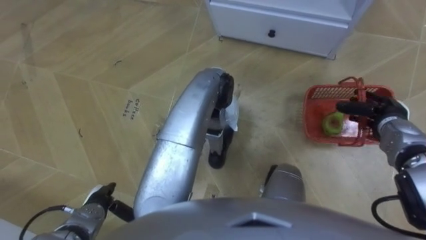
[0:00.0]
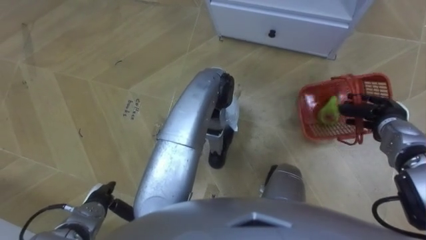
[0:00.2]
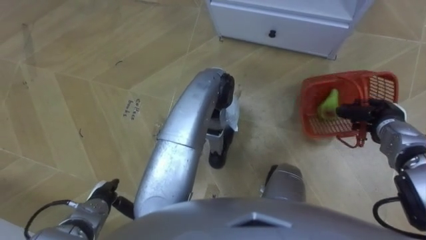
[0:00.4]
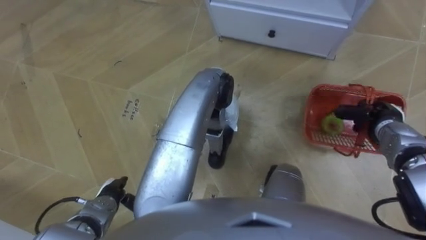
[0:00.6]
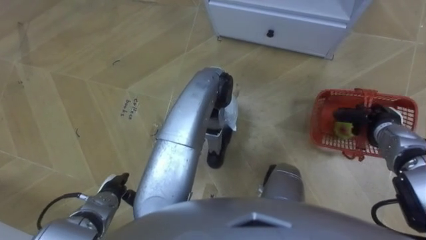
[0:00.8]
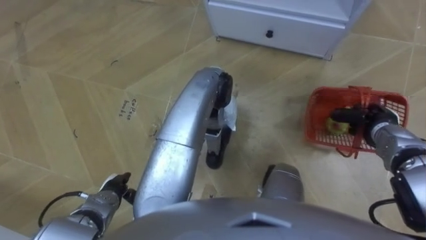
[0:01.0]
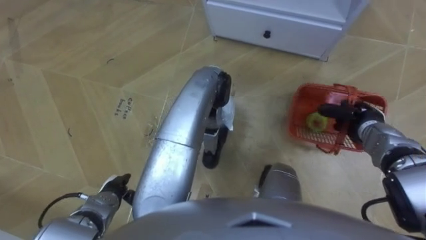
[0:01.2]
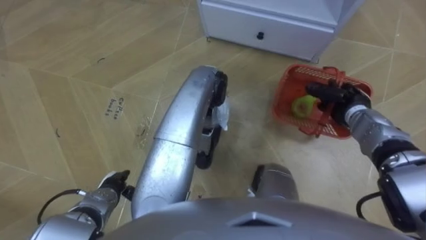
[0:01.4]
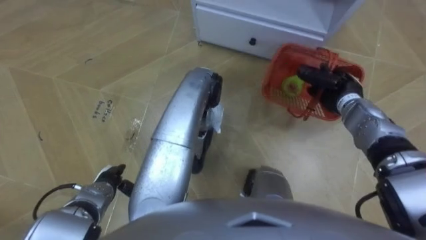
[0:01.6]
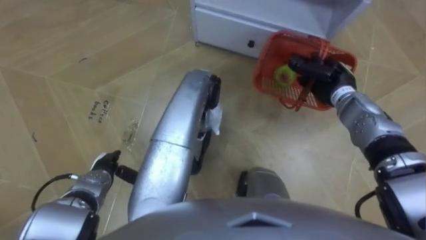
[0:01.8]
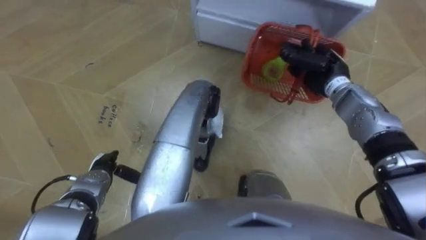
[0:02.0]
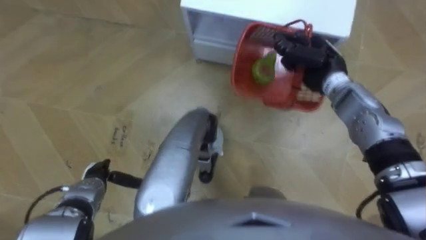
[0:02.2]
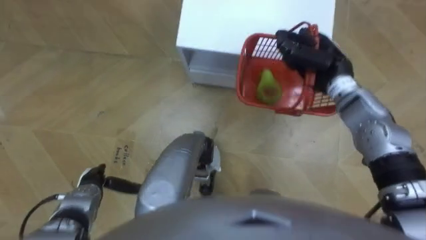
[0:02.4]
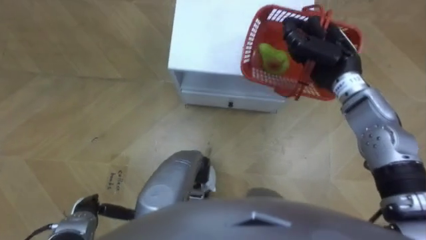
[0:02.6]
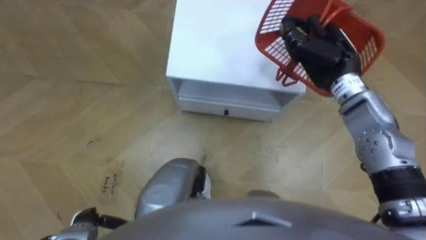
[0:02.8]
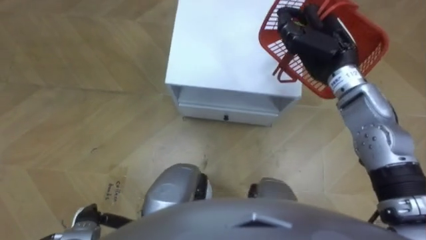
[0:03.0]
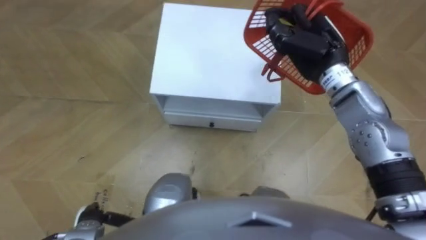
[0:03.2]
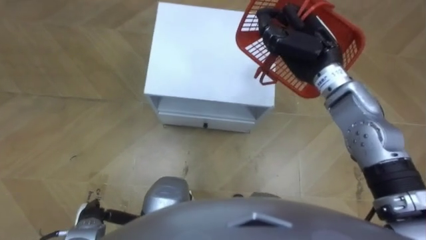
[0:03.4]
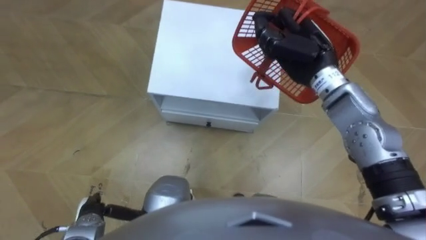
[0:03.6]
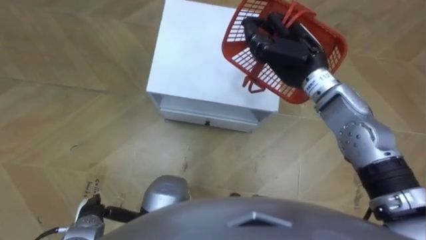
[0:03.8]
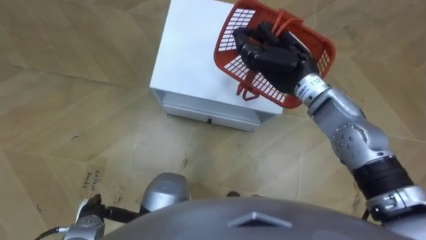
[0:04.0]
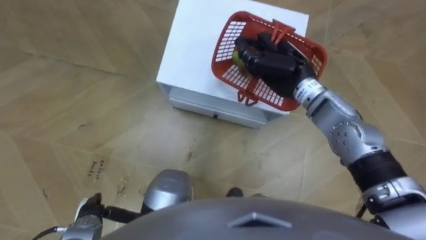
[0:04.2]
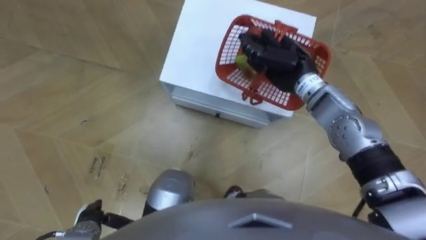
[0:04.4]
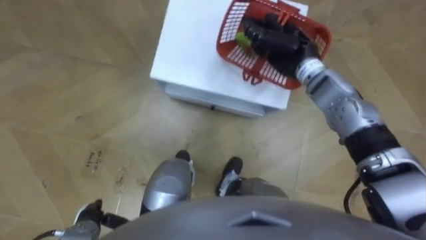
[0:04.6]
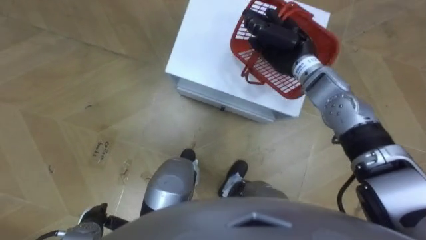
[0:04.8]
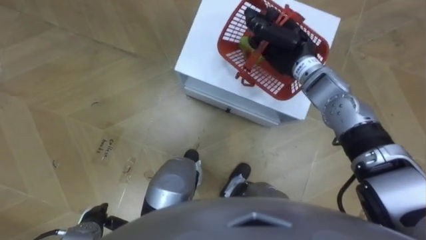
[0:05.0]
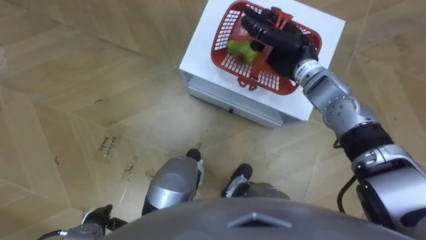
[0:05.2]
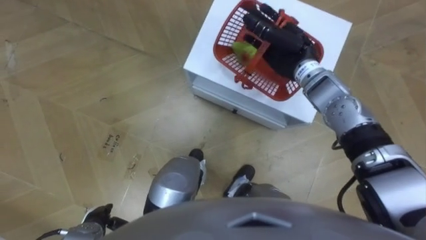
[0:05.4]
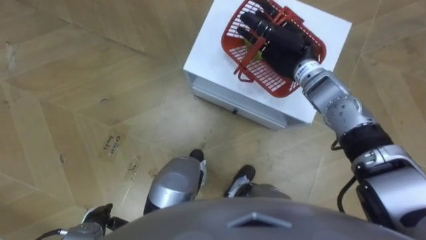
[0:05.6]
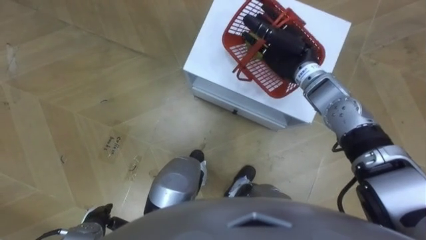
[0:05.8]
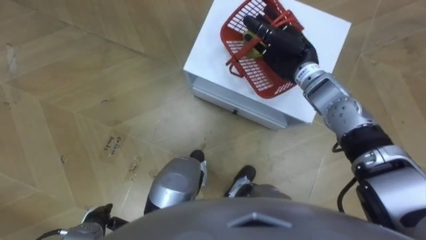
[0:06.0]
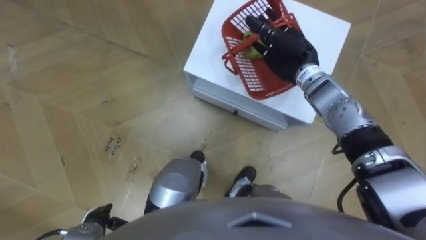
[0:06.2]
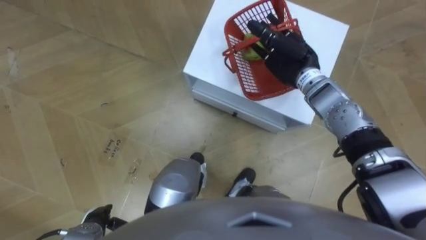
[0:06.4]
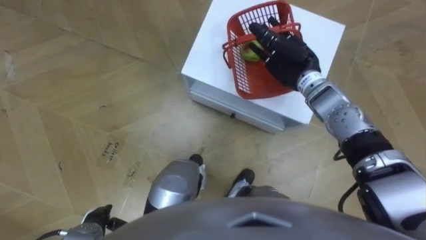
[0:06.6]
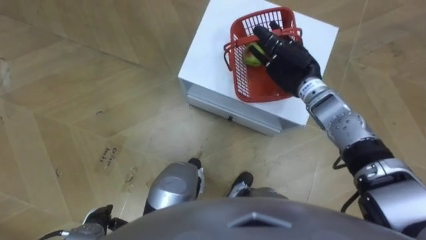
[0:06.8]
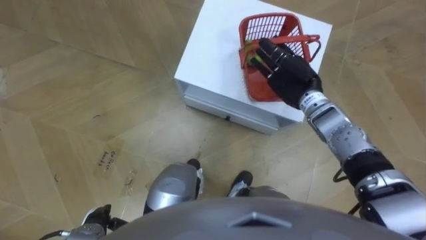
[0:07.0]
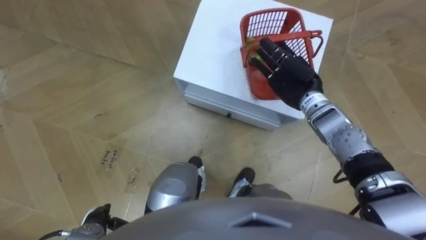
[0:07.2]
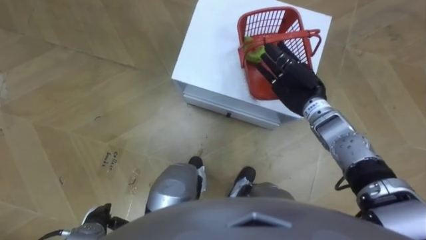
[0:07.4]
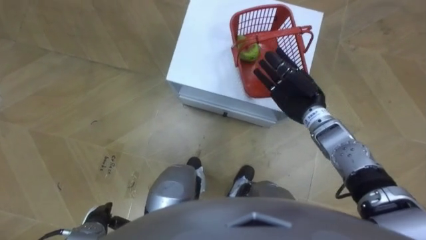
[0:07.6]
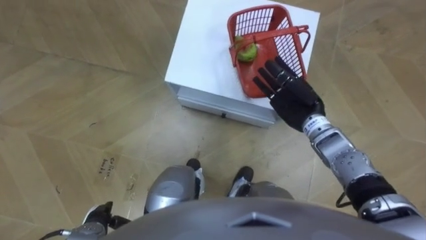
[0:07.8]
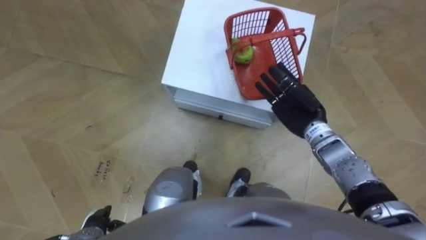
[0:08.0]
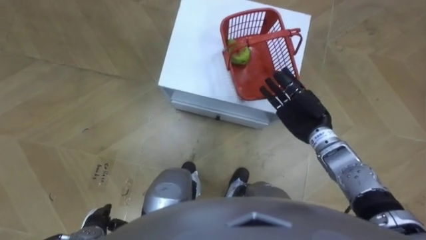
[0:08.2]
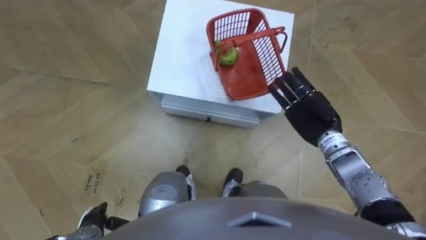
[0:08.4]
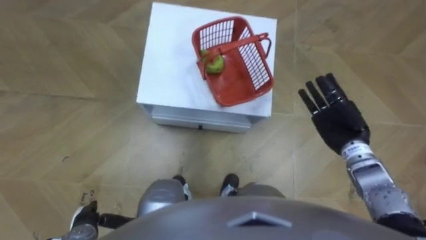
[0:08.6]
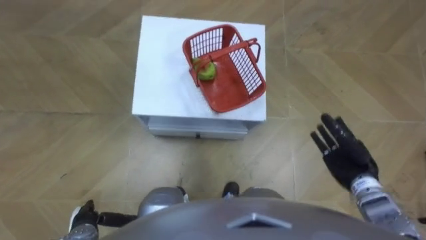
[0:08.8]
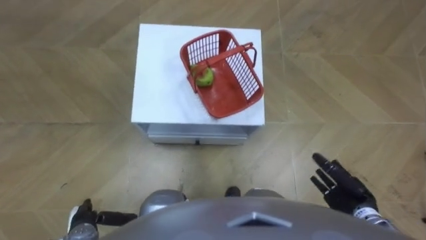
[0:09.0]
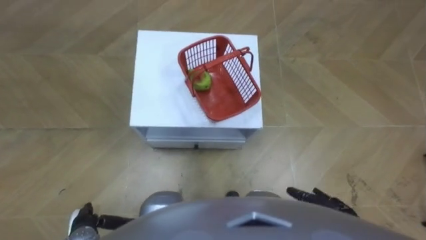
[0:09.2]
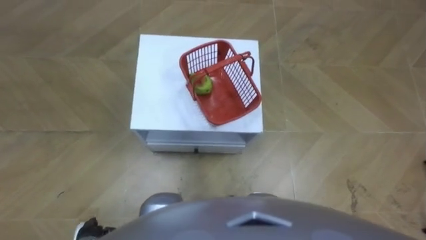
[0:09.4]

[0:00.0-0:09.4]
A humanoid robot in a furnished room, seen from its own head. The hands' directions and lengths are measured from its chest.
Task of the whole recording: Pick up the fruit basket from the floor and place it on the cabinet.
0:00.0 to 0:01.6: The left hand moves forward, about 5 cm. The right hand heads to the left and forward, covering some 10 cm, and closes up.
0:01.6 to 0:03.2: The left hand is displaced backward by approximately 10 cm. Meanwhile the right hand is displaced upward and to the left by some 15 cm.
0:03.2 to 0:04.8: The right hand changes place by about 5 cm.
0:04.8 to 0:06.2: The right hand opens up.
0:06.2 to 0:07.8: The right hand heads backward and downward, covering approximately 10 cm.
0:07.8 to 0:09.4: The right hand travels backward and downward by approximately 30 cm.

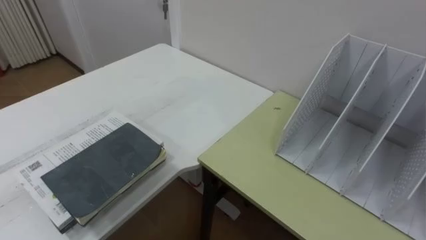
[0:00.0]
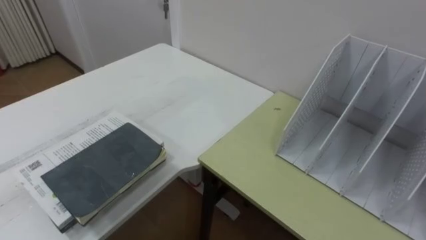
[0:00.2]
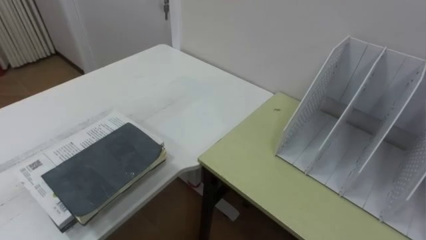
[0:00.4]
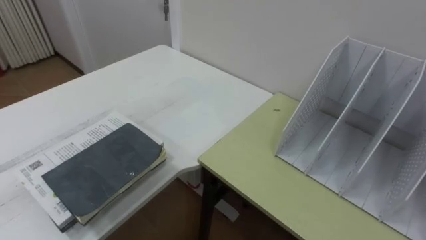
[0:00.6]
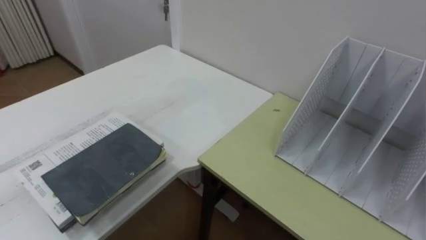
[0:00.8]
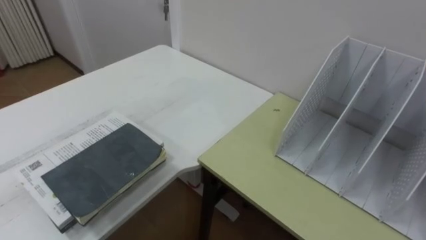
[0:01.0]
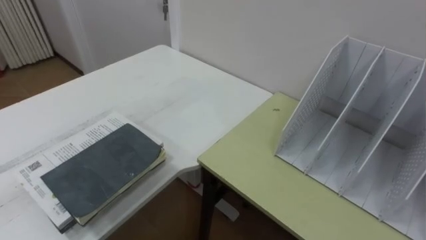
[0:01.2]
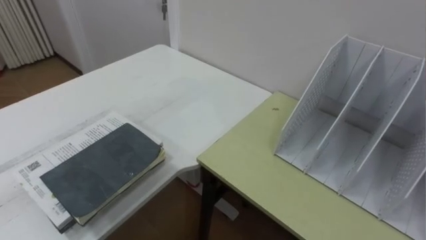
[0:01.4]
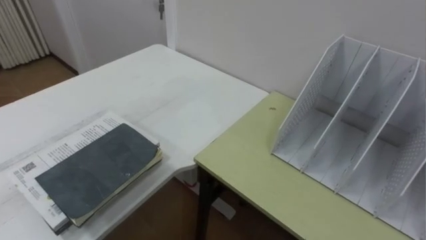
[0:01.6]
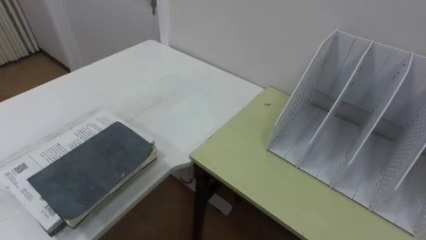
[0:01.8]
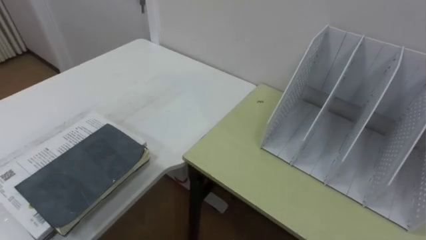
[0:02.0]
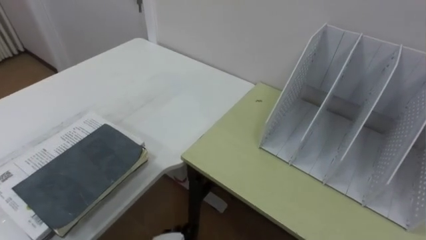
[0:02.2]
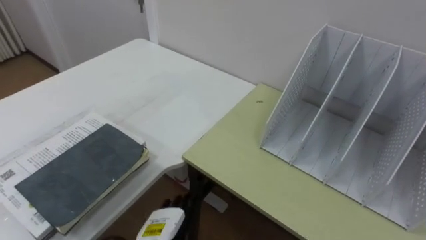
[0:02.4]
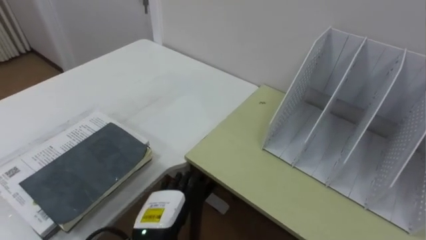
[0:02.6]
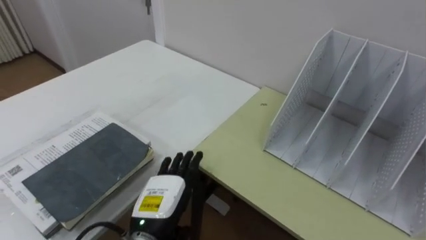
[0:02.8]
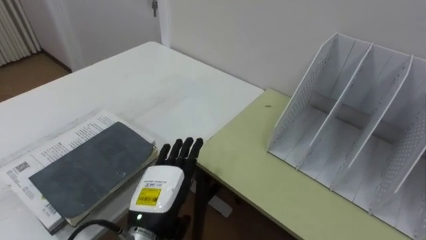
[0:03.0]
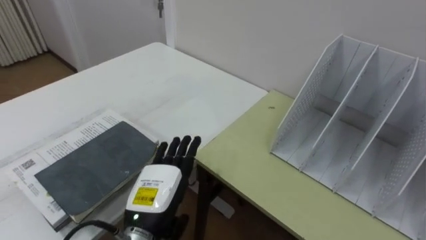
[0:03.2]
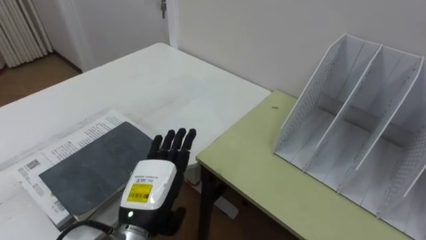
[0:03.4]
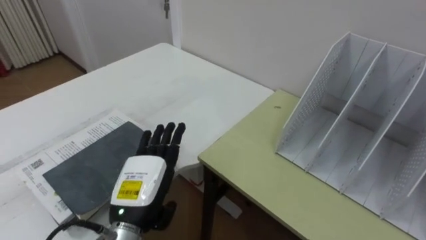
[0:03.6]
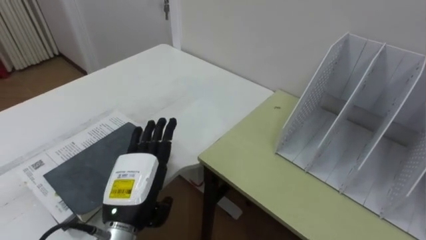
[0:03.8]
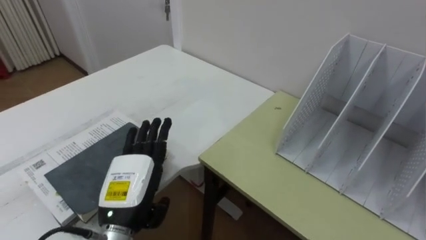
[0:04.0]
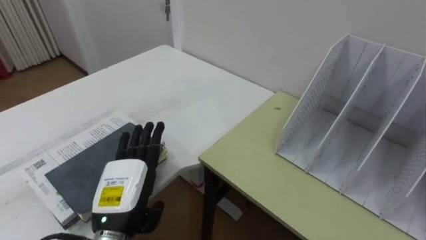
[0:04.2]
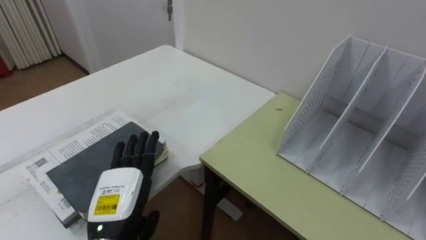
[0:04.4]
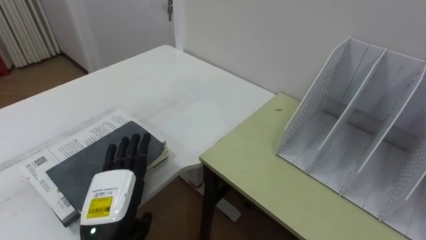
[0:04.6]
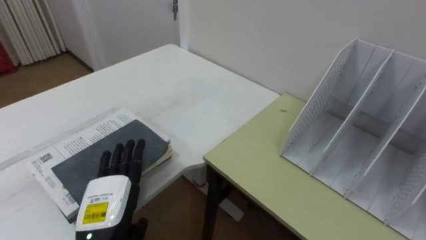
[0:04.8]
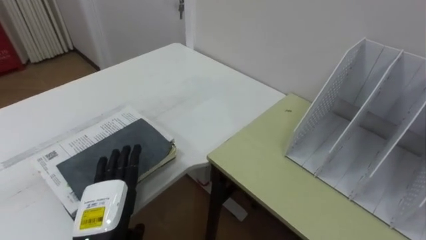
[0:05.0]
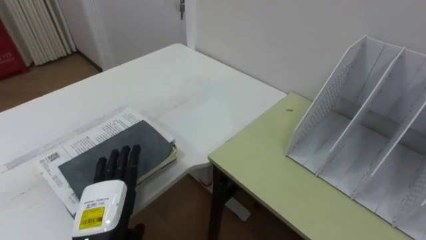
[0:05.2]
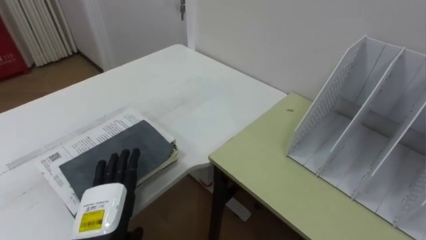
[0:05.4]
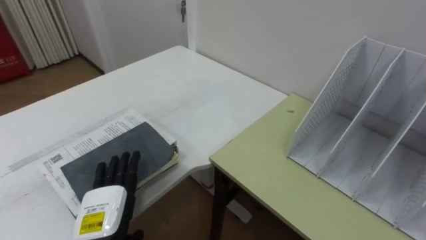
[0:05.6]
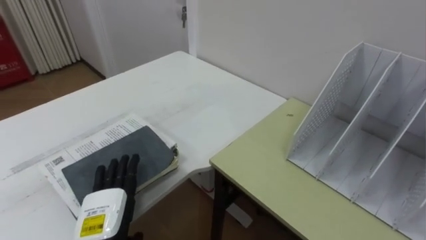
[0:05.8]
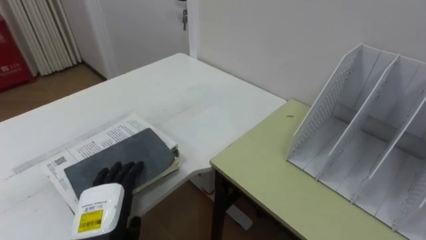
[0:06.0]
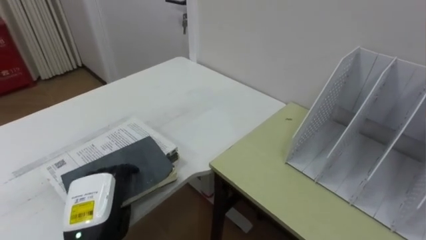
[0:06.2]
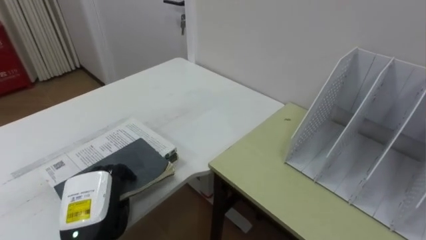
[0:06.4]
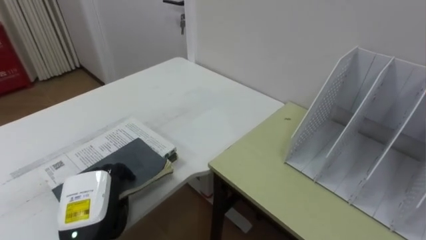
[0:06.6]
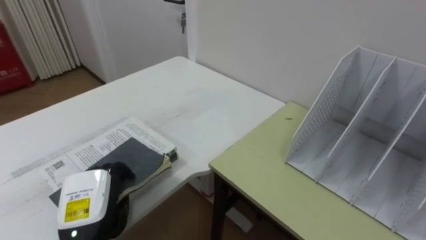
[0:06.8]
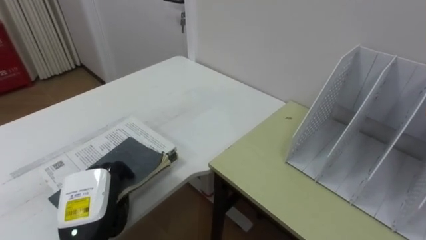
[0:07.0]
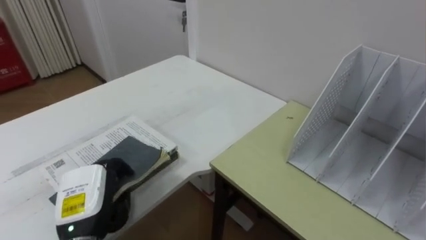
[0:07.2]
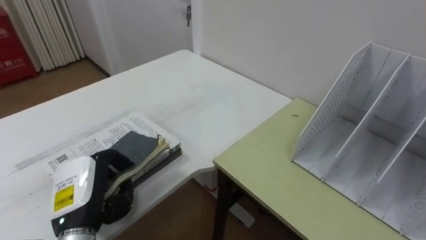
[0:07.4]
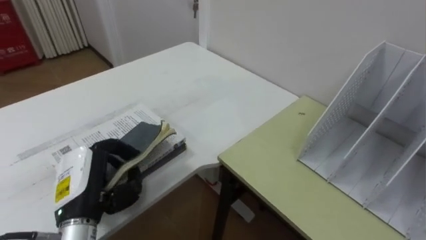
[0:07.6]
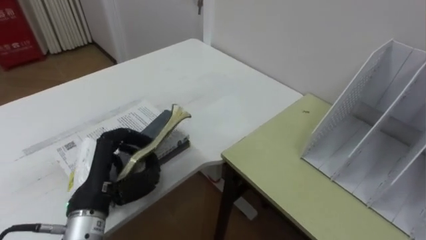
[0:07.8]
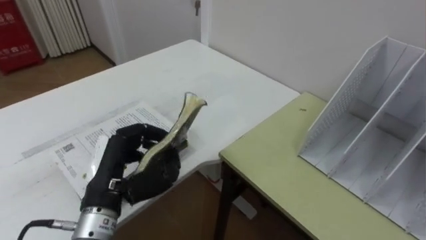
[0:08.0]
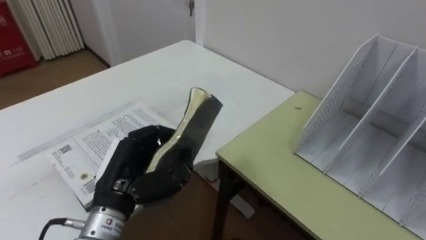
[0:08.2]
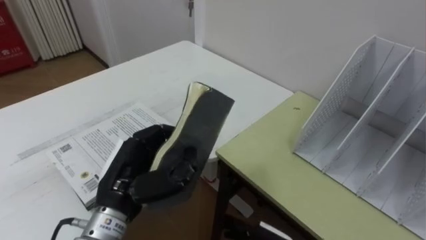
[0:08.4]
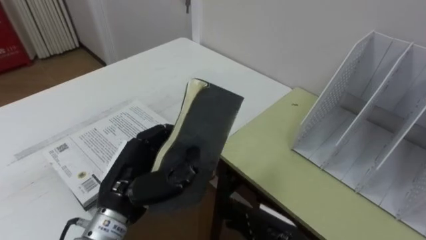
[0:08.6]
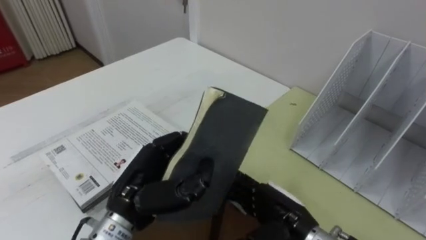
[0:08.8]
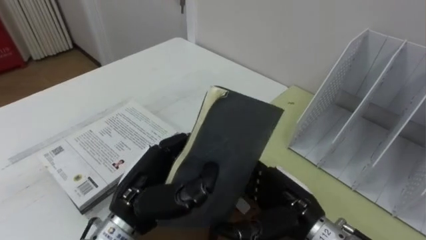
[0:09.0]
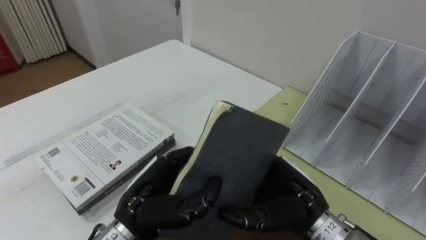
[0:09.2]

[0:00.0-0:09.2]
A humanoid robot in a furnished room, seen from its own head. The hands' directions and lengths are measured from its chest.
Task of the whole recording: Put the books on the table onto the bookshelf.
0:03.0 to 0:04.6: The left hand shifts roughly 5 cm to the left.
0:04.6 to 0:06.2: The left hand closes up.
0:06.2 to 0:07.6: The left hand travels upward by approximately 5 cm, and closes its fingers.
0:07.6 to 0:09.2: The left hand is displaced to the right by approximately 10 cm.
